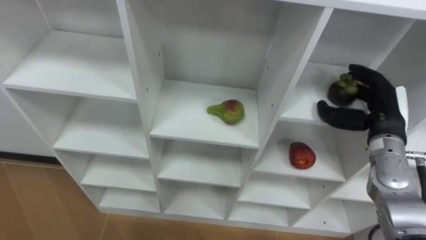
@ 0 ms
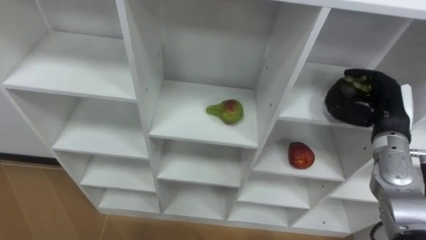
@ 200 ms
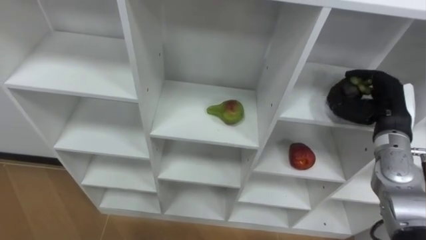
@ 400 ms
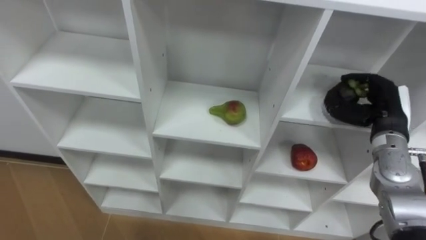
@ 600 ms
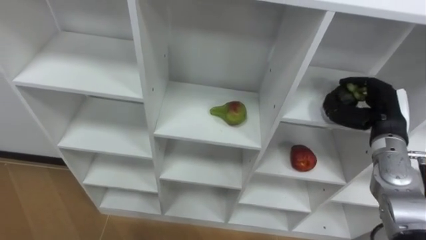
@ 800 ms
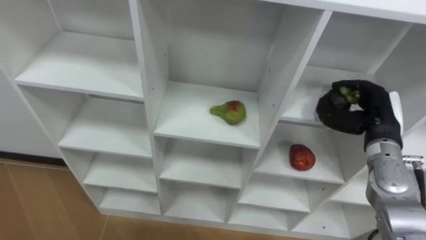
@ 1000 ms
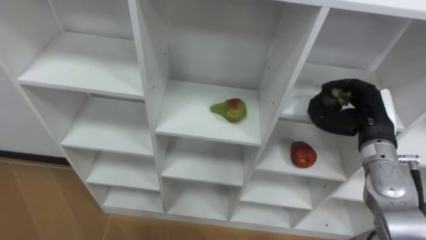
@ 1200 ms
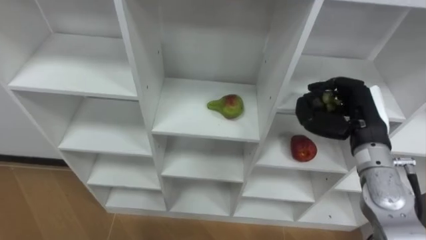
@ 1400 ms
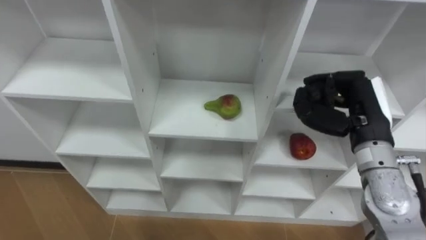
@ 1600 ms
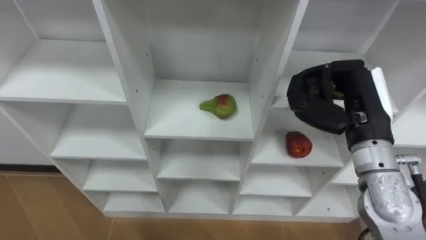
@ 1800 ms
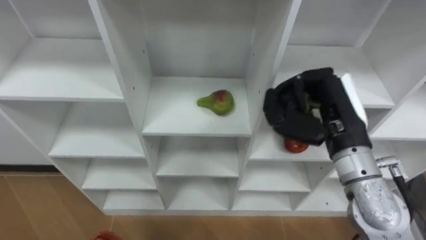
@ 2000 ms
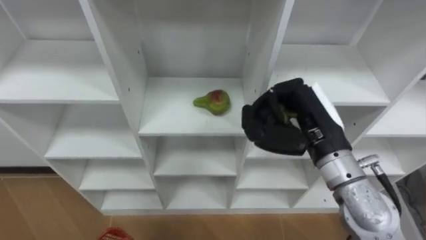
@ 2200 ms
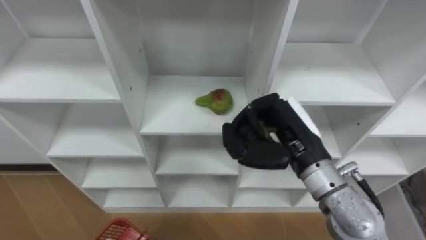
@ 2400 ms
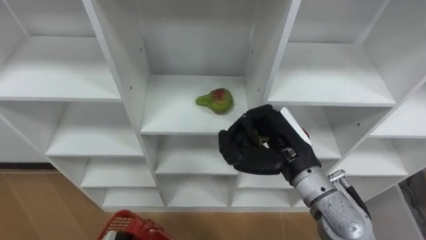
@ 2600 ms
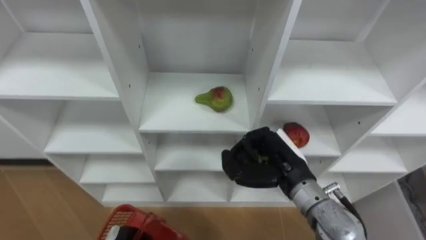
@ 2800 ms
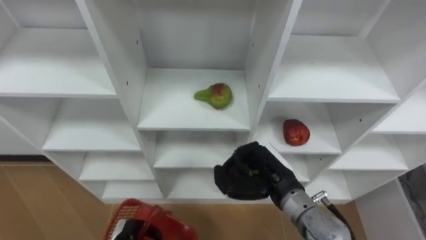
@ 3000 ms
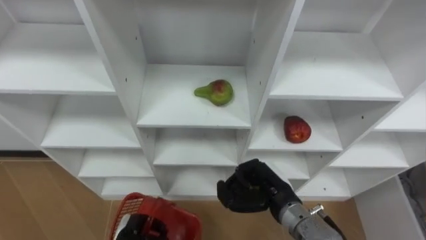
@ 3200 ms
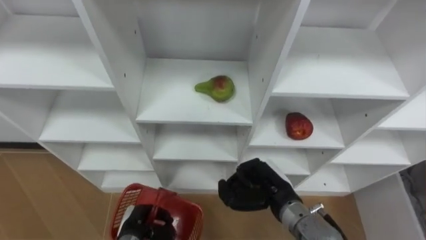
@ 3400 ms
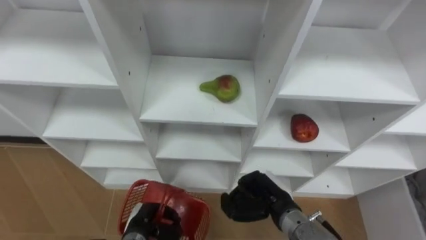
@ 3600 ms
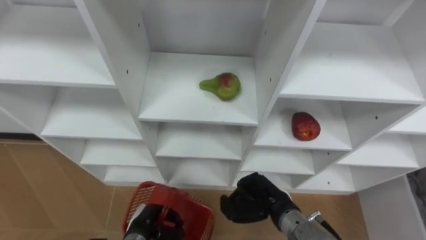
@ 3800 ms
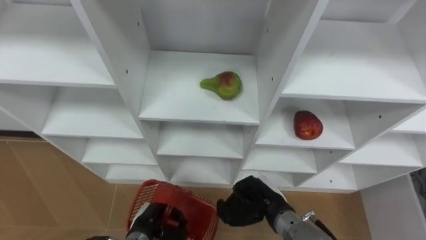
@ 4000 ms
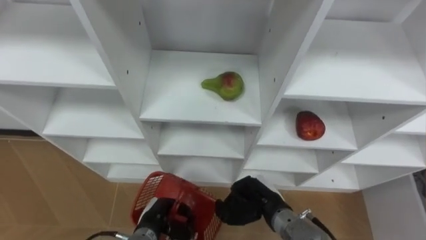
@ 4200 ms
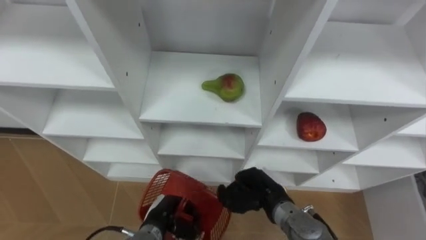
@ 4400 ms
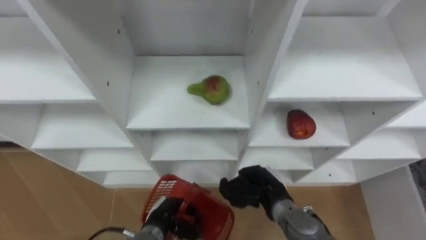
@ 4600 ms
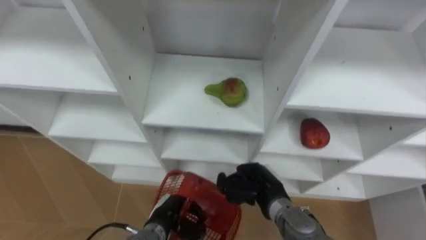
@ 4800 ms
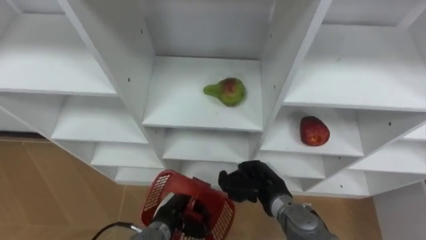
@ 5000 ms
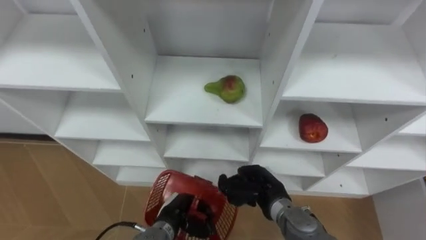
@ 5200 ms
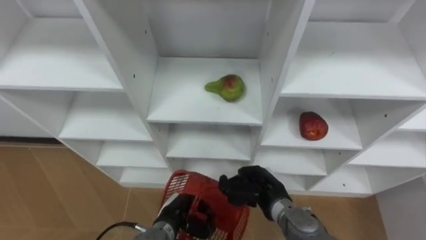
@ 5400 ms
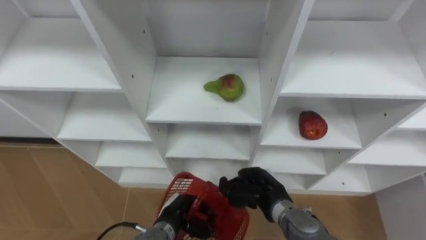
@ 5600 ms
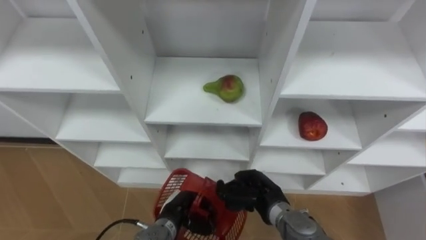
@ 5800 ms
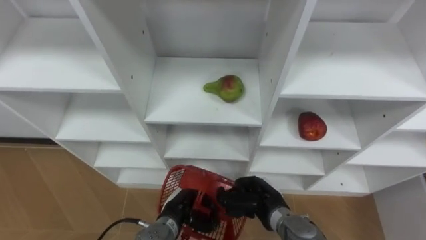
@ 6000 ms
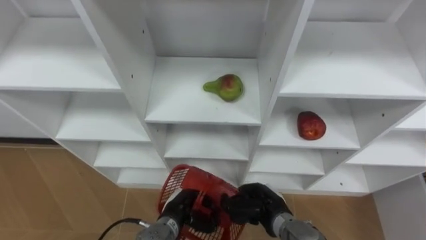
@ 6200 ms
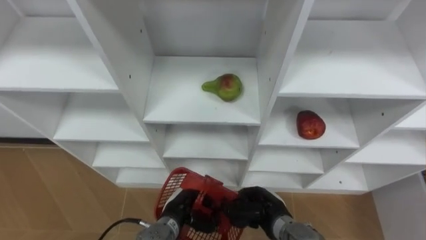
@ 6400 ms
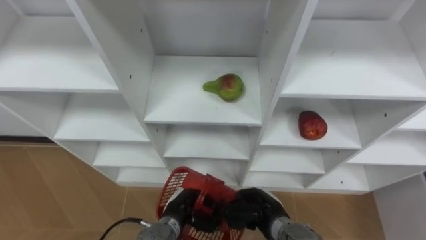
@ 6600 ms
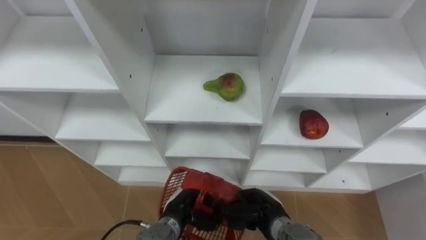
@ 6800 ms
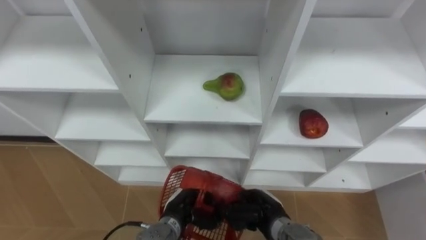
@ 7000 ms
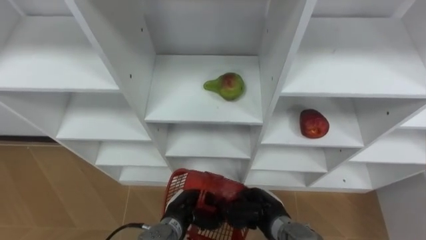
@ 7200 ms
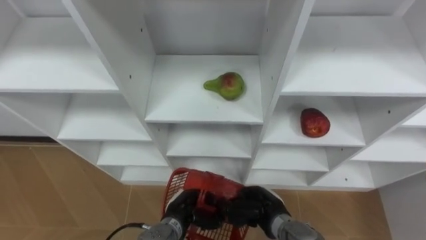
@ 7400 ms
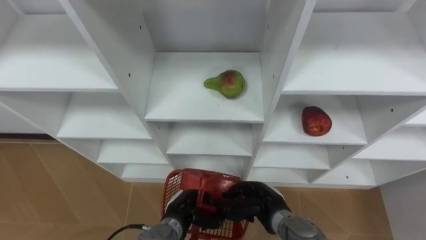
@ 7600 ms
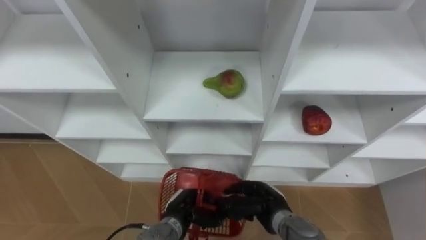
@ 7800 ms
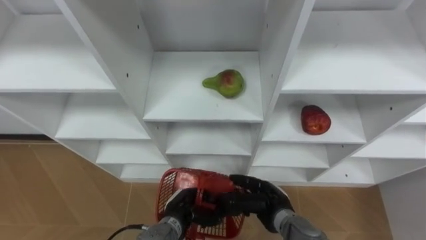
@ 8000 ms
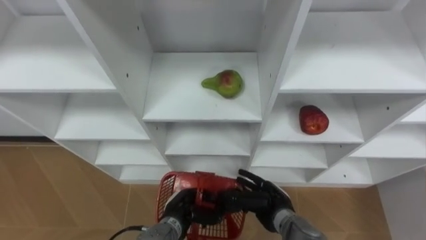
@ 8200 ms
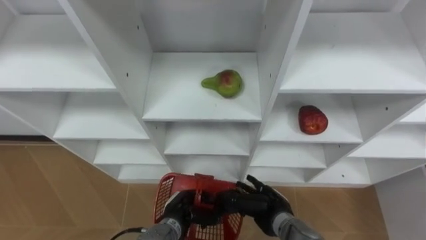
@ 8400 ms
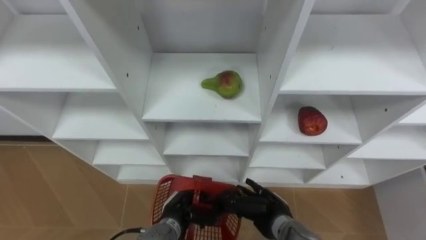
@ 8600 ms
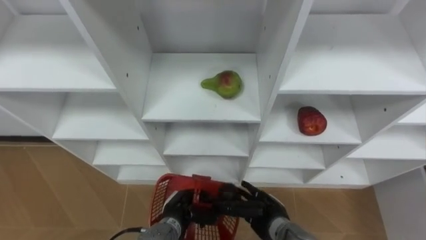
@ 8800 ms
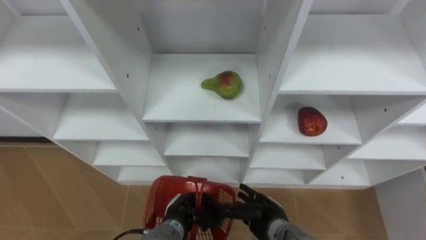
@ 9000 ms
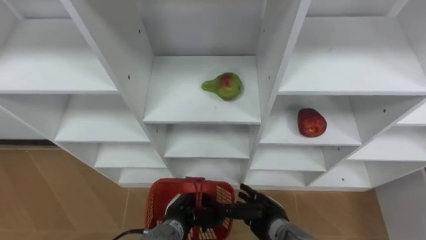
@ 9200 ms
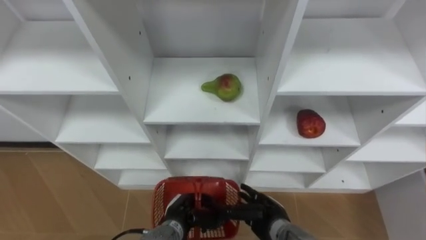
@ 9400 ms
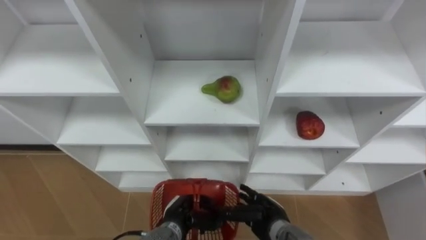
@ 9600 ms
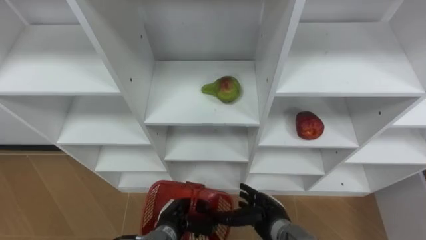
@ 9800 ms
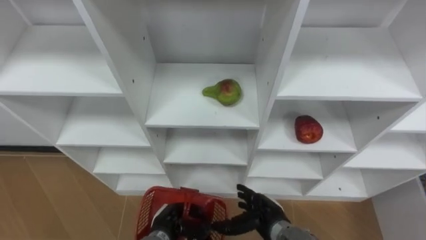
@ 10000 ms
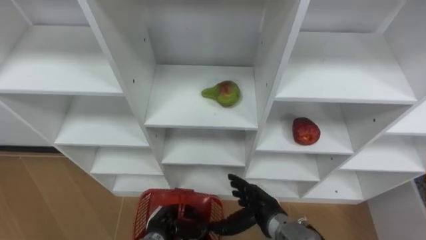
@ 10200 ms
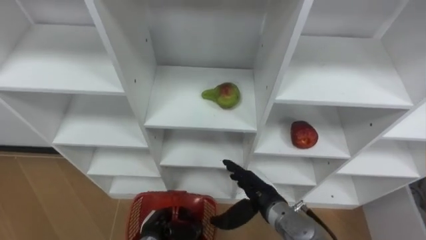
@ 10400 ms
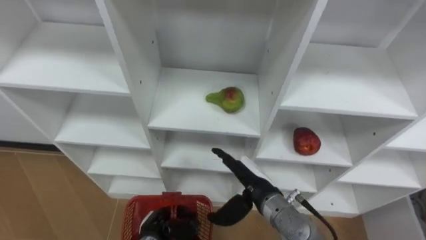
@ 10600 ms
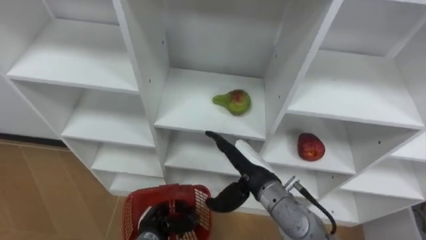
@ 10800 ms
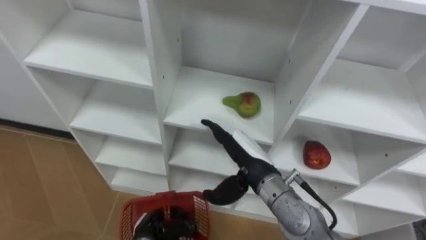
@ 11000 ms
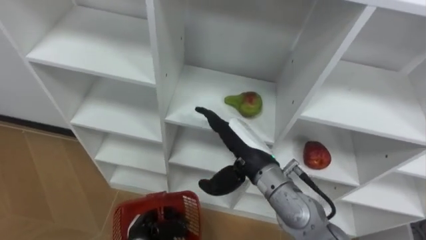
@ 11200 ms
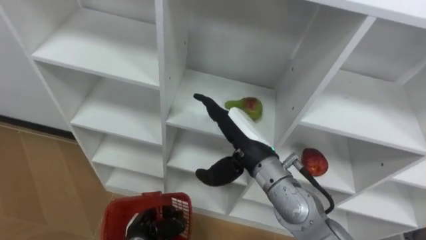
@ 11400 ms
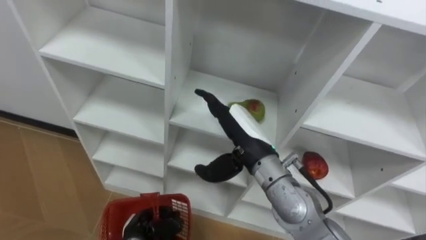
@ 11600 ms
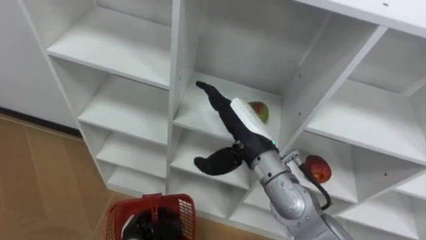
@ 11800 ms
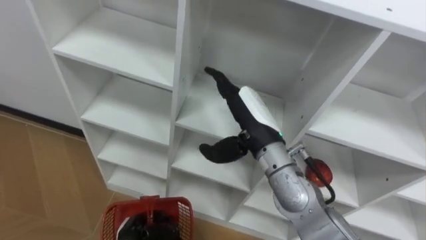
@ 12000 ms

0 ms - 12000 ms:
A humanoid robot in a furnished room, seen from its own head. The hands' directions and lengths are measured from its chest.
Task of the whole recording: Hold the basket and collect the fruits from 3 different cells of the closet into it.
0 ms - 1600 ms: The right hand is displaced to the left by some 5 cm, and closes up.
1600 ms - 3000 ms: The right hand is displaced to the left and downward by about 15 cm.
3000 ms - 4400 ms: The right hand moves downward, about 10 cm.
6000 ms - 7600 ms: The hands stay close to where they were, moving slightly.
7600 ms - 9000 ms: The right hand opens its fingers.
9000 ms - 10400 ms: The left hand shifts approximately 5 cm to the left. The right hand travels upward by about 5 cm.
10400 ms - 12000 ms: The right hand shifts approximately 15 cm upward.

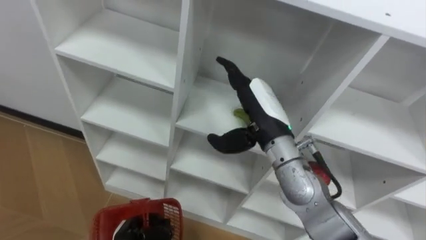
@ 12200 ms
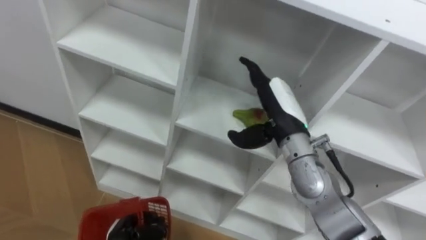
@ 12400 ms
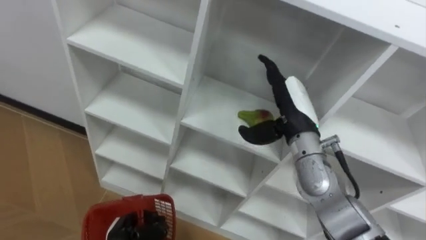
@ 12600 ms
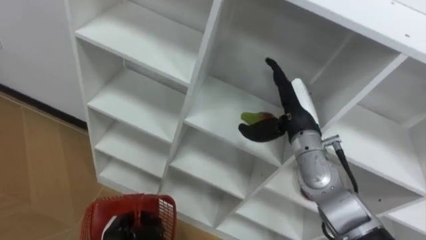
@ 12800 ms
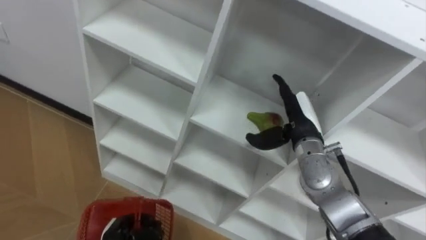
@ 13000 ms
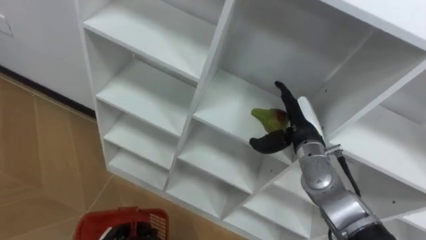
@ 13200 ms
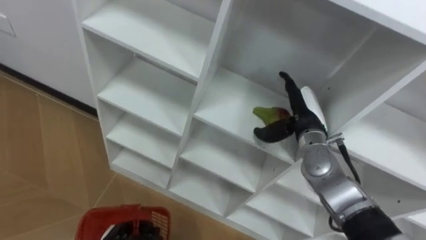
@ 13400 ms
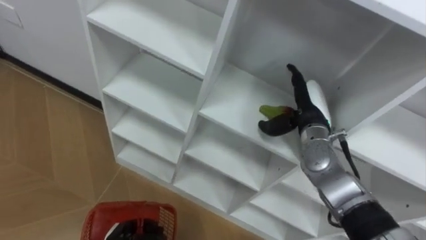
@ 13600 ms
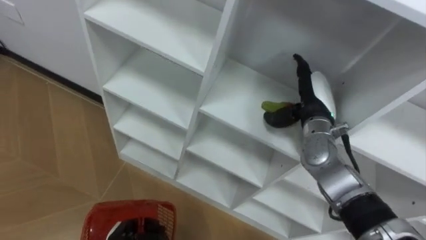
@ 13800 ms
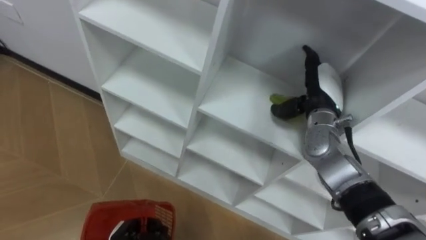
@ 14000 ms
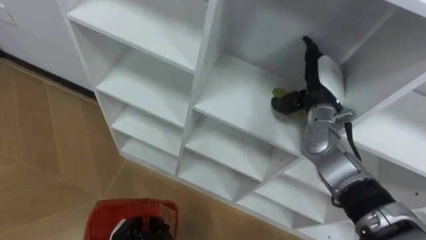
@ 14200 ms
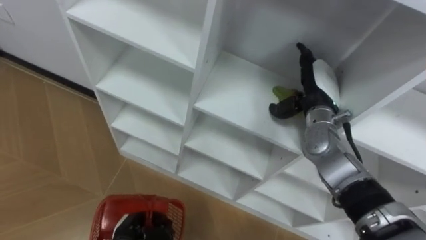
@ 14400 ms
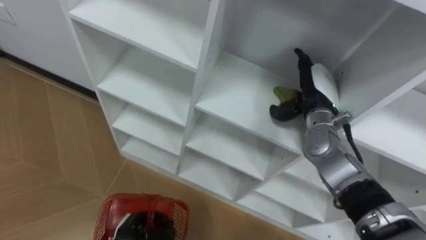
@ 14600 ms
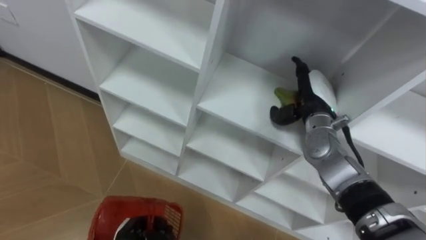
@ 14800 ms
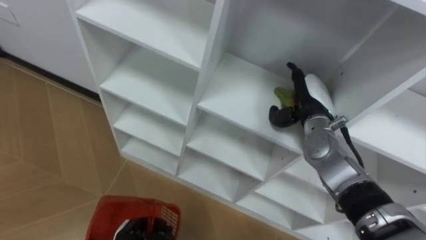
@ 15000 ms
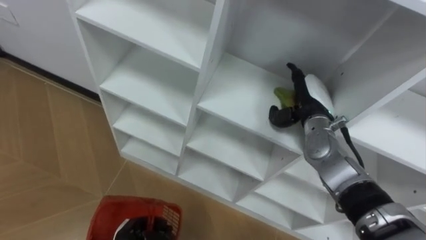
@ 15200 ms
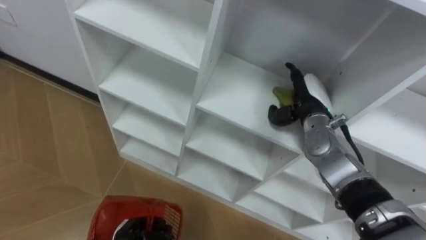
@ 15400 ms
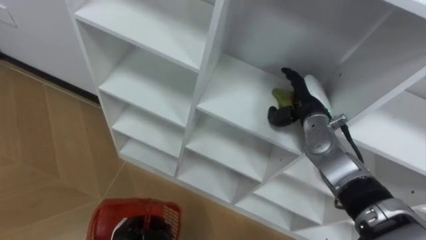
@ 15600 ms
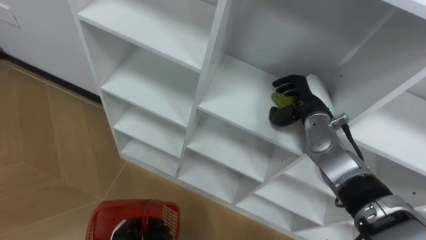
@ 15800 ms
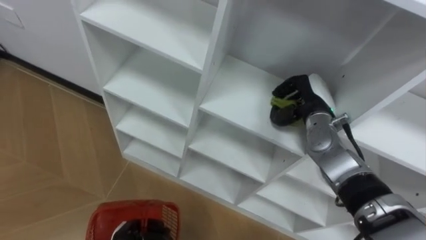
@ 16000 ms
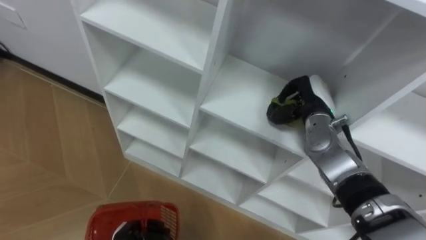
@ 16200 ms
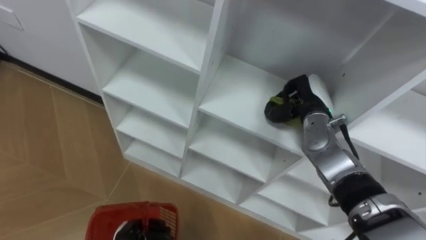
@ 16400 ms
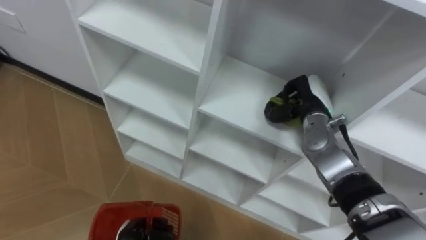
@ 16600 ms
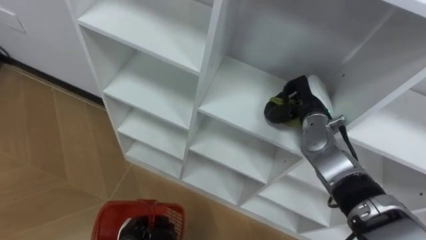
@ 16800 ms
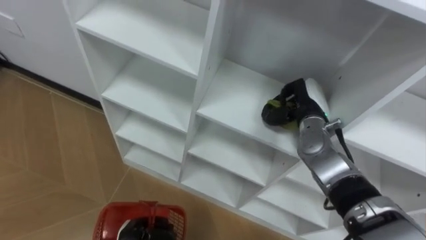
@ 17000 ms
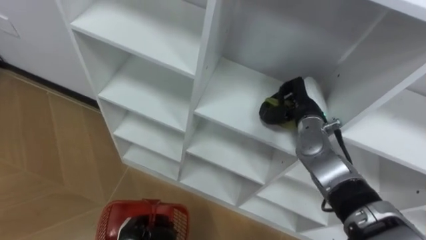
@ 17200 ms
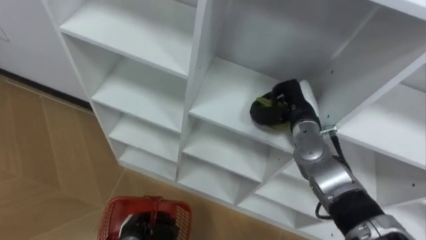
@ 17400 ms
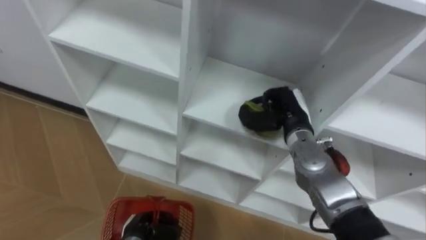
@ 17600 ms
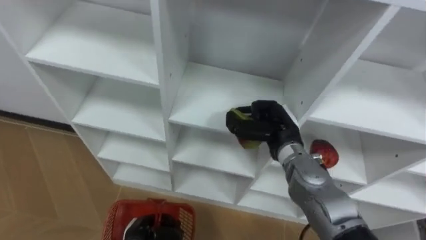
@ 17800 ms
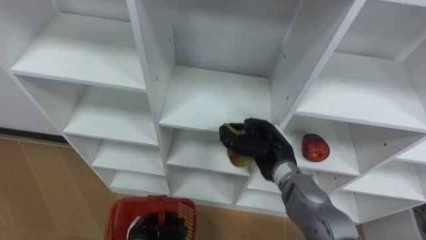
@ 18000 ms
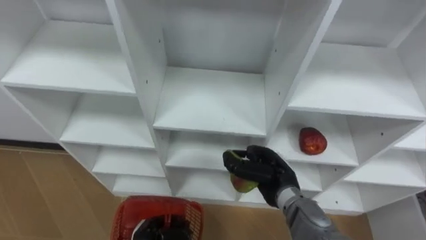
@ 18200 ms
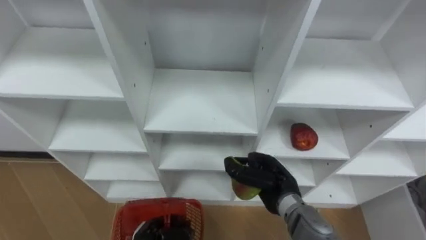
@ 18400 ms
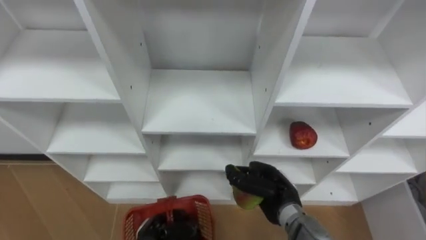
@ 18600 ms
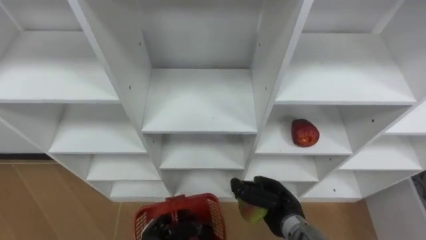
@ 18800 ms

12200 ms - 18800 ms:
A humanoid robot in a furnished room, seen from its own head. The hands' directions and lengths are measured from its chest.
Task of the whole recording: Hold the basket and collect the fruits from 3 different cells of the closet into it.
12200 ms - 13800 ms: The right hand is displaced to the right, forward and downward by some 15 cm.
15400 ms - 17200 ms: The right hand closes.
17200 ms - 18800 ms: The right hand shifts about 20 cm backward and downward, while the left hand shifts about 5 cm to the right.
